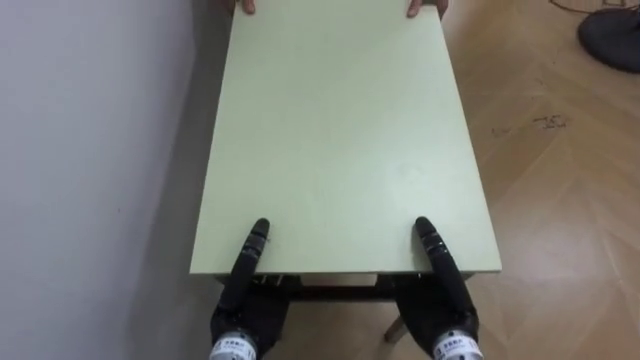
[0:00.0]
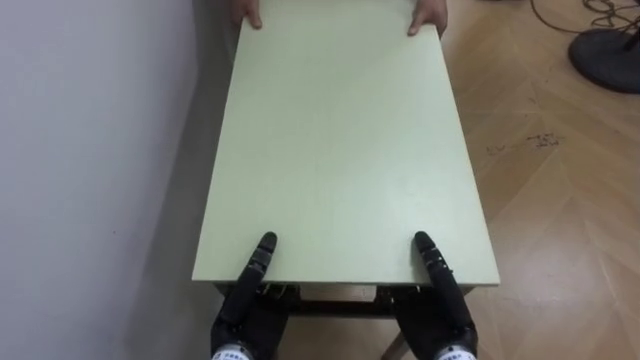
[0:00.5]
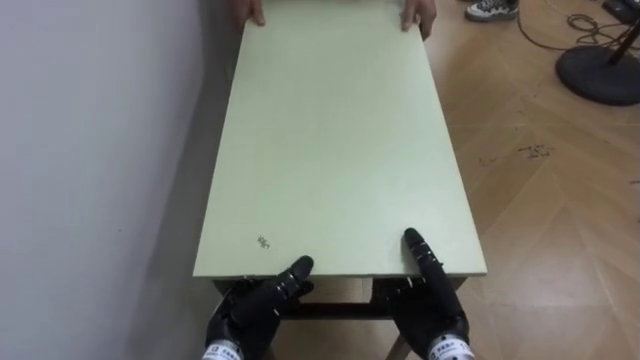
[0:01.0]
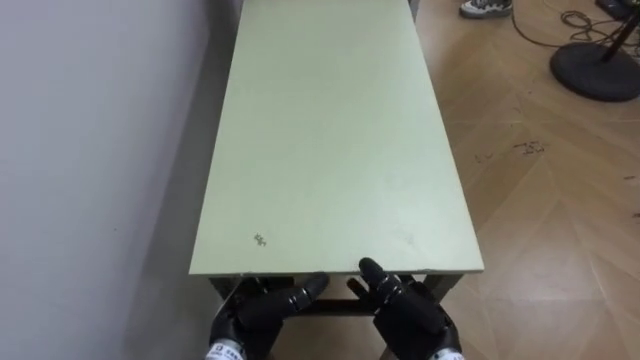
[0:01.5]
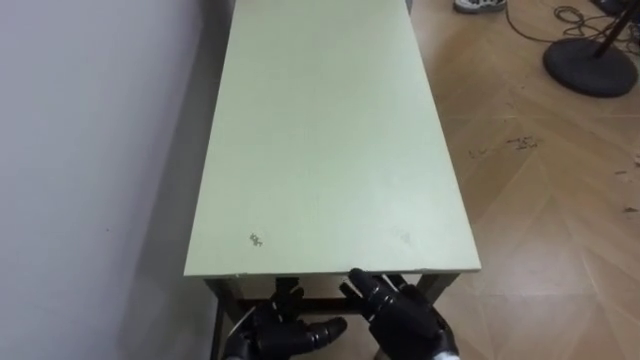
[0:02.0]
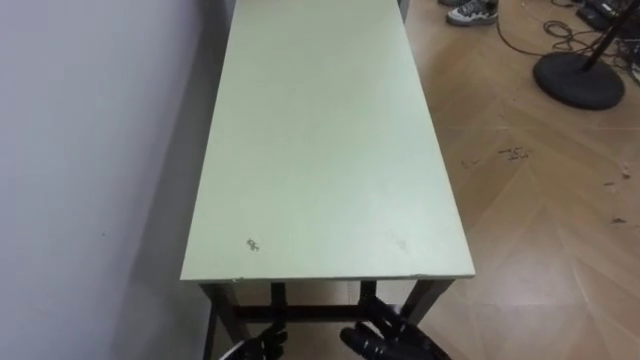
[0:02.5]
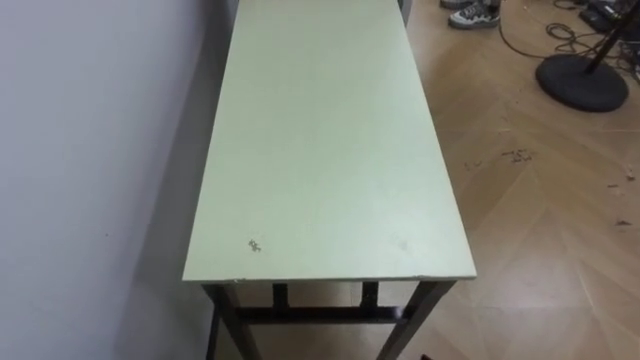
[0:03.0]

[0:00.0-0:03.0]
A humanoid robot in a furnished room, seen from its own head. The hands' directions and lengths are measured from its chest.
Task of the whole recording: Move the table to the back left with someone.
0:00.0 to 0:01.5: The left hand opens. Meanwhile the right hand opens its fingers.

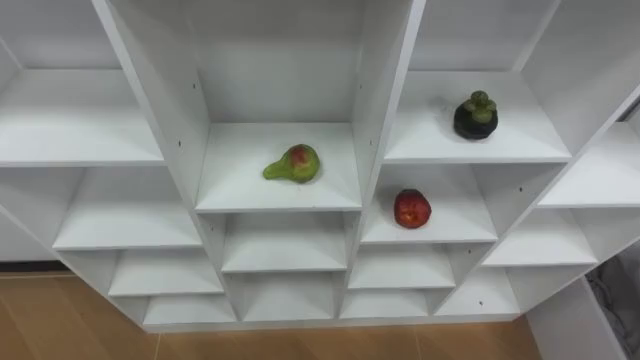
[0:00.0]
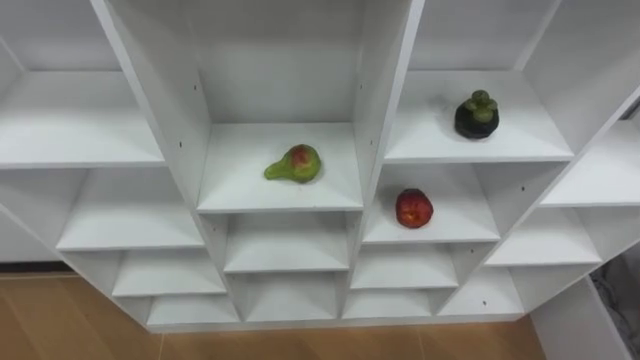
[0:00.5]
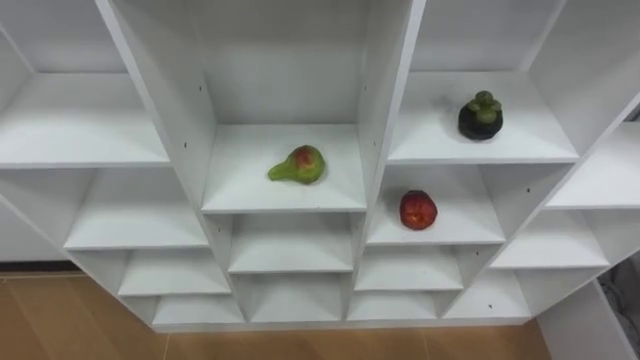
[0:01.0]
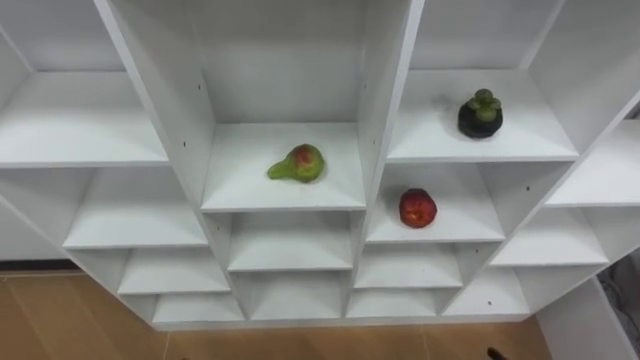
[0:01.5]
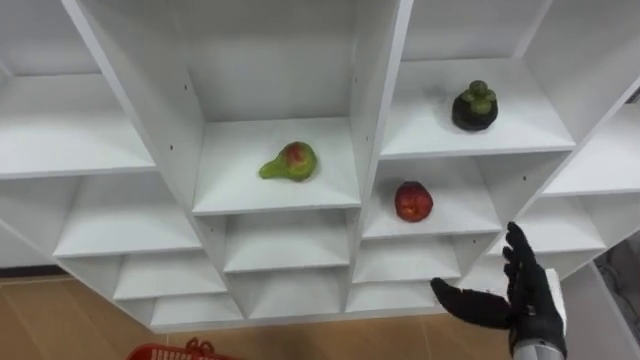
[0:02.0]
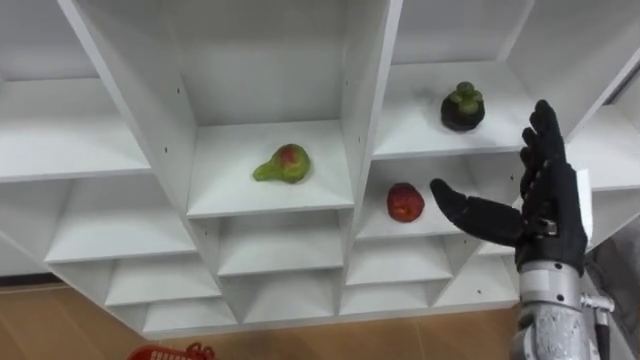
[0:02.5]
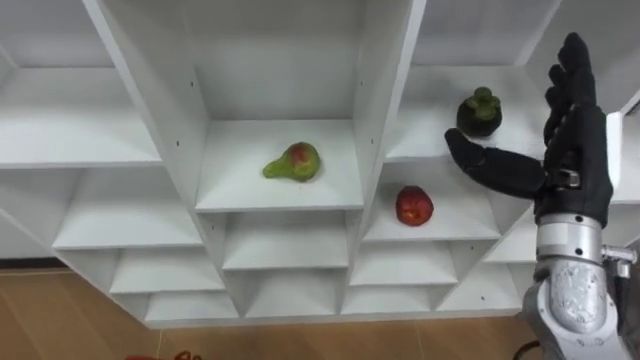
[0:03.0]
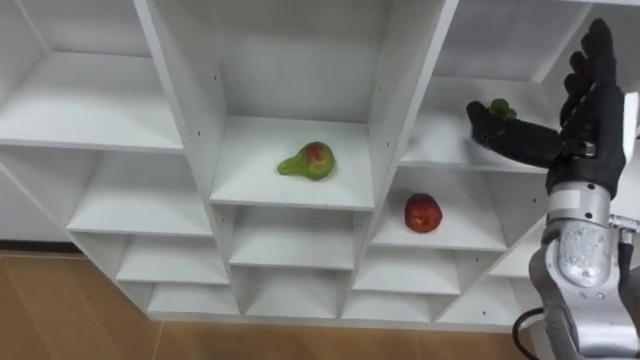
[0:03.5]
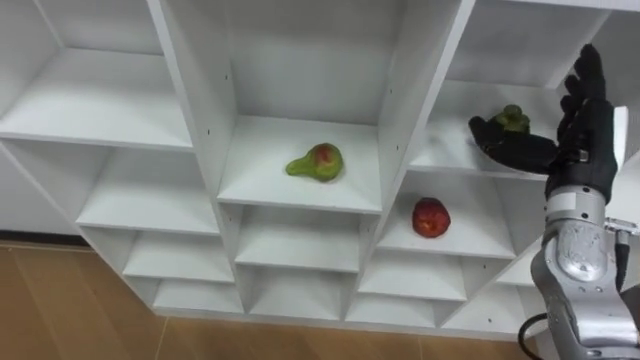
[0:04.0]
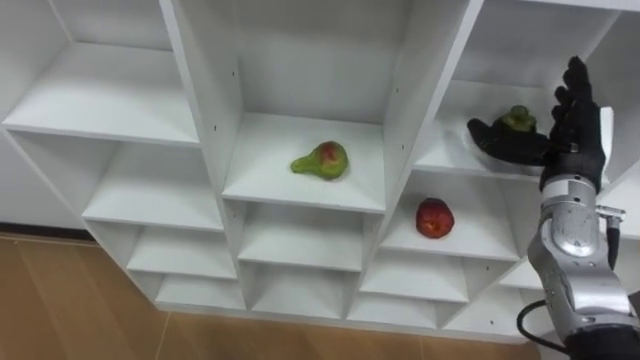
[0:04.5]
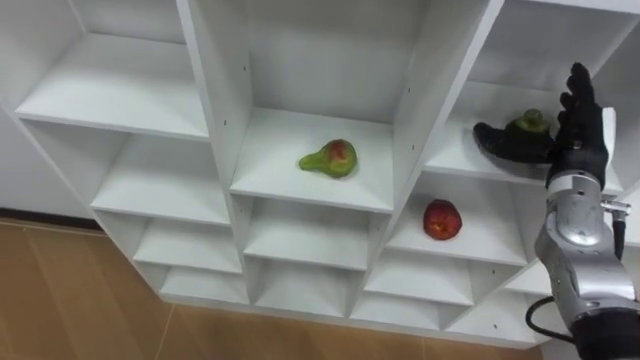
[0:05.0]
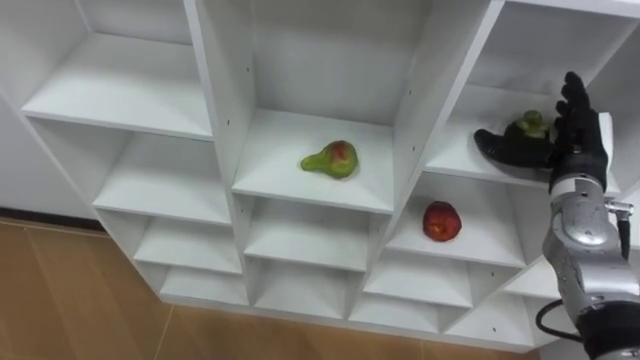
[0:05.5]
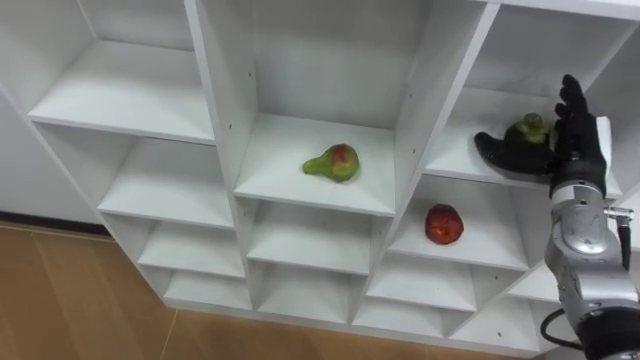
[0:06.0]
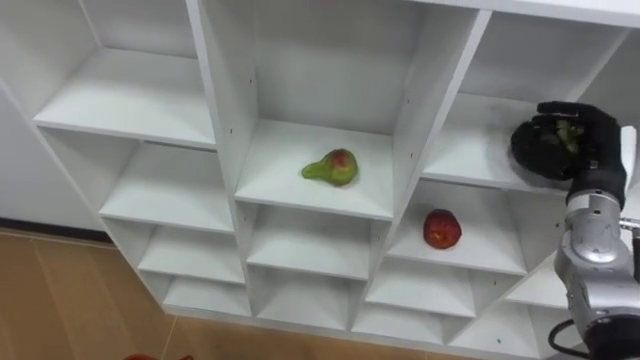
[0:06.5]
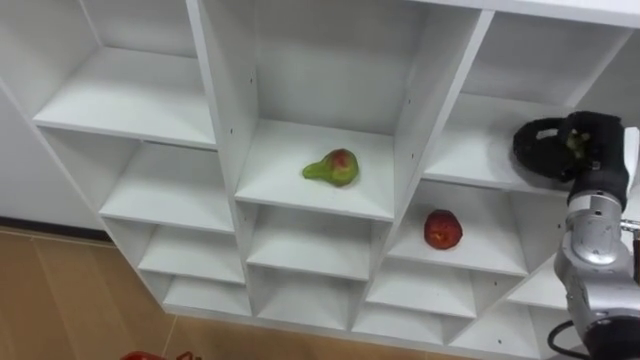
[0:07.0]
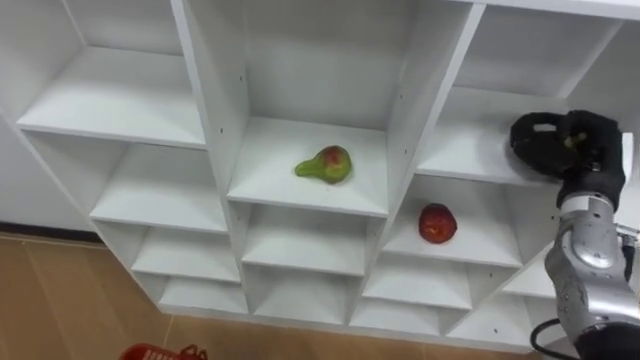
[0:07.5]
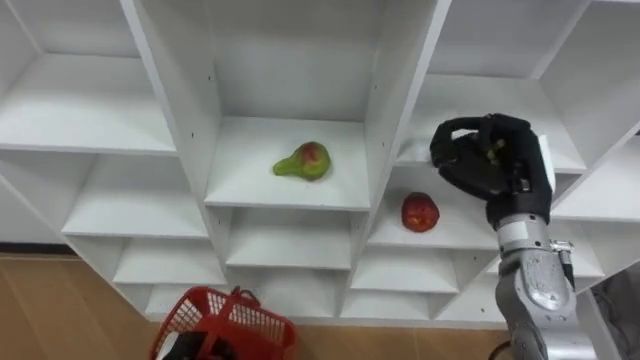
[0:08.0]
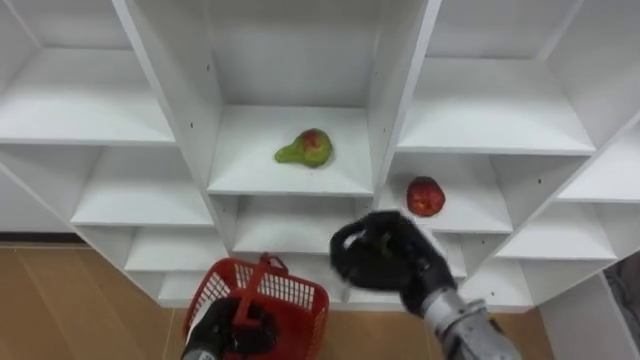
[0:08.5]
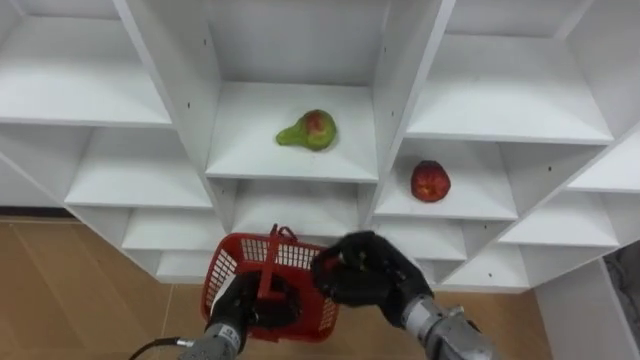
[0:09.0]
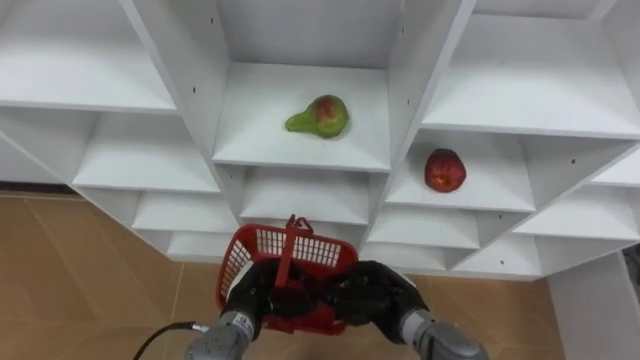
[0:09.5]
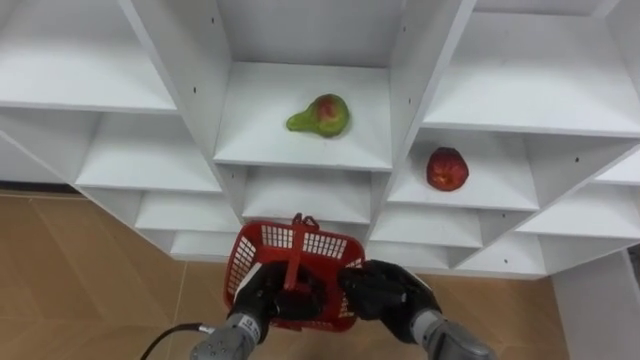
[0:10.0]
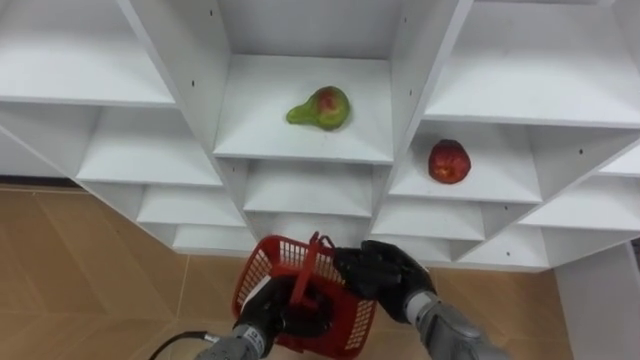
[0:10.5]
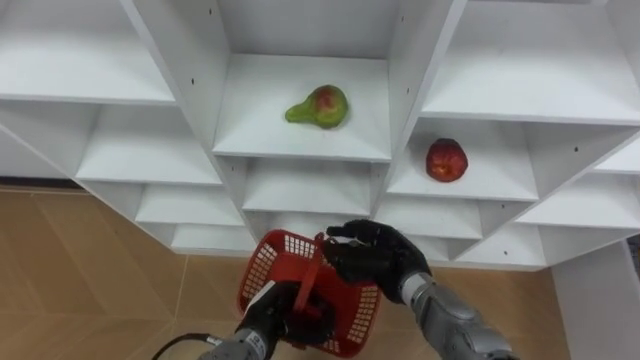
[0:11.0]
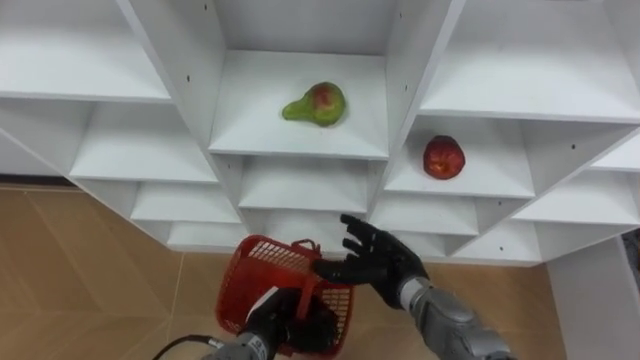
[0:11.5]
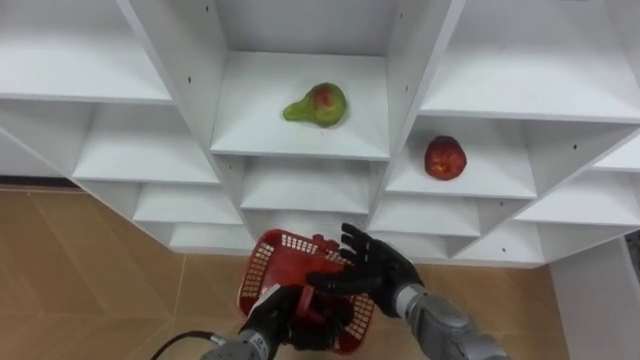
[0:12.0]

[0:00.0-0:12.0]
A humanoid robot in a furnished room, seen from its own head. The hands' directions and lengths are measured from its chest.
Task of the whole recording: Hold the basket and collect the fruits from 3 different cells of the closet into it.
0:02.0 to 0:04.0: The right hand goes roughly 20 cm upward and forward.
0:04.0 to 0:06.0: The right hand shifts about 5 cm downward.
0:06.0 to 0:08.0: The right hand goes roughly 10 cm to the left, and closes up.
0:08.0 to 0:10.0: The right hand shifts about 25 cm downward, to the left and backward.
0:10.0 to 0:12.0: The right hand opens its fingers.

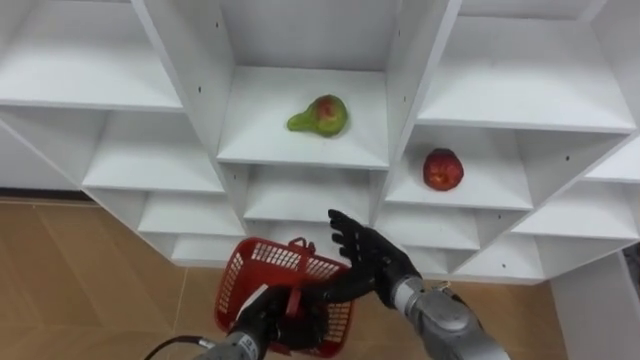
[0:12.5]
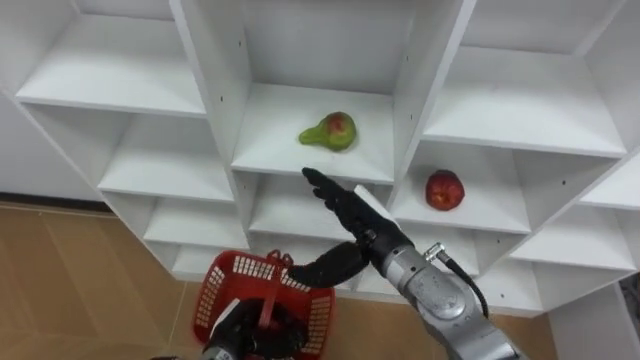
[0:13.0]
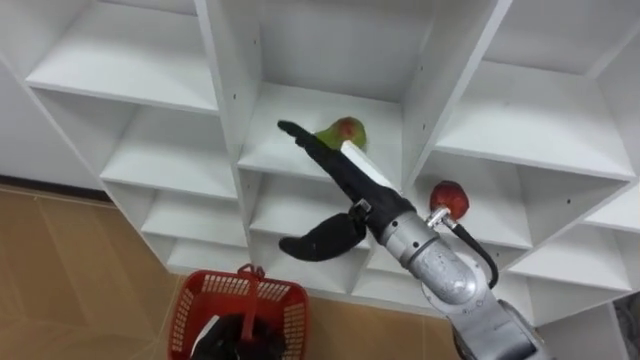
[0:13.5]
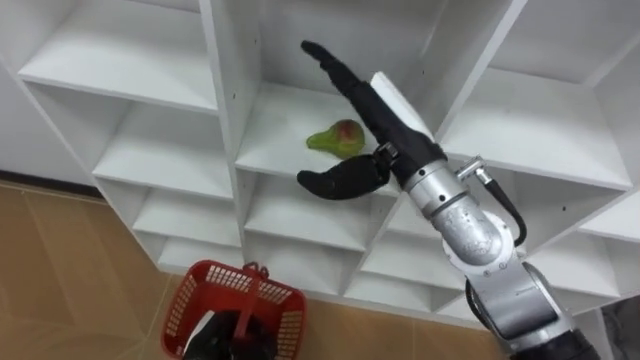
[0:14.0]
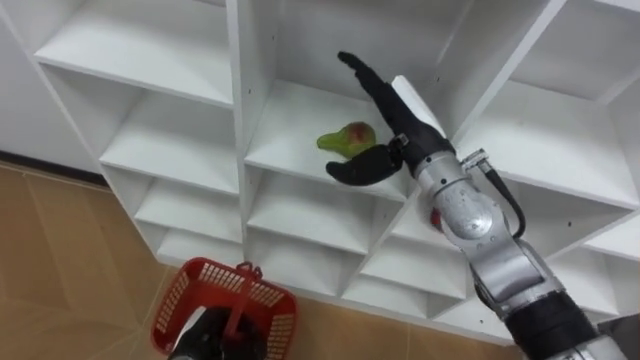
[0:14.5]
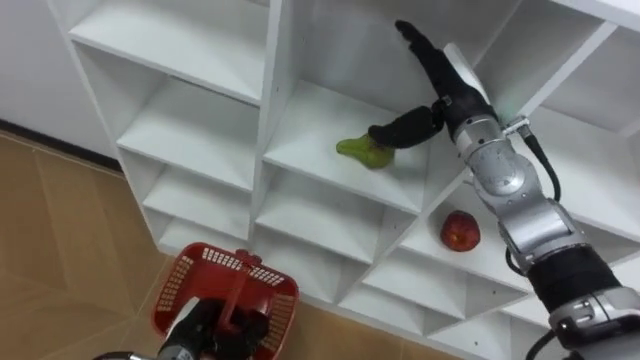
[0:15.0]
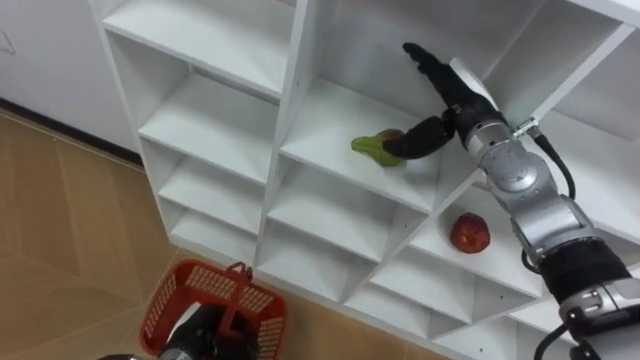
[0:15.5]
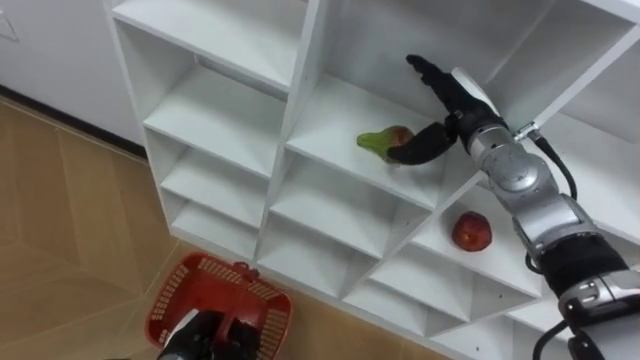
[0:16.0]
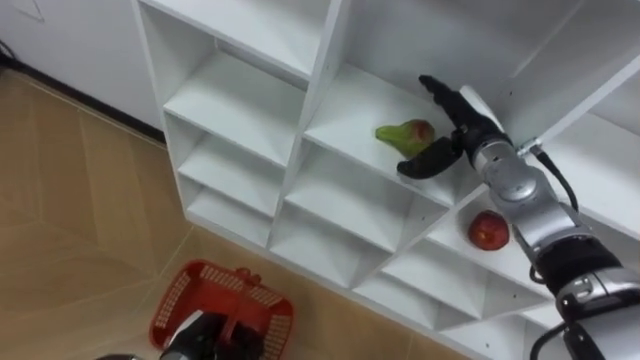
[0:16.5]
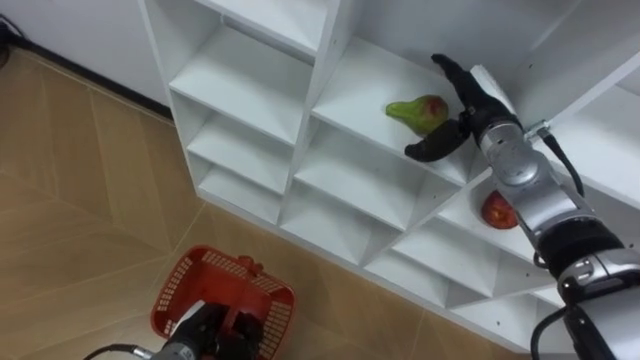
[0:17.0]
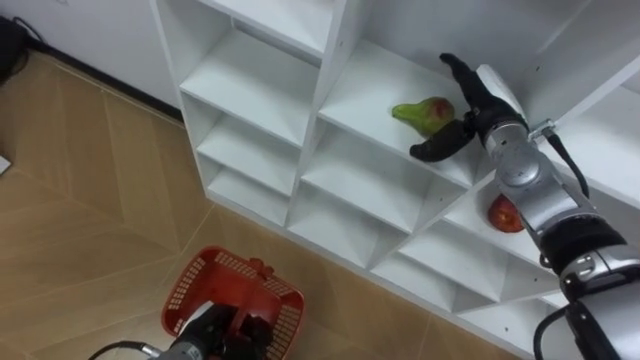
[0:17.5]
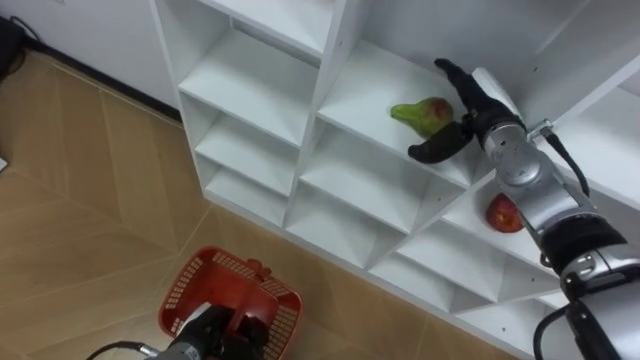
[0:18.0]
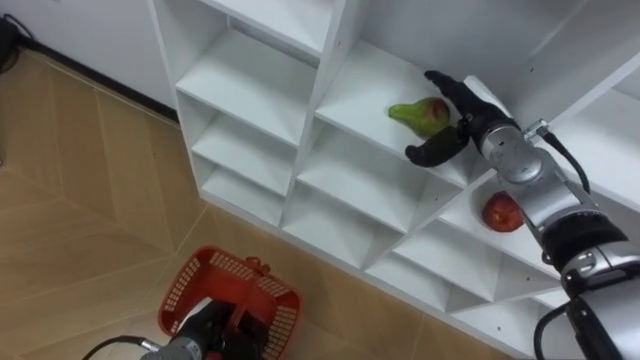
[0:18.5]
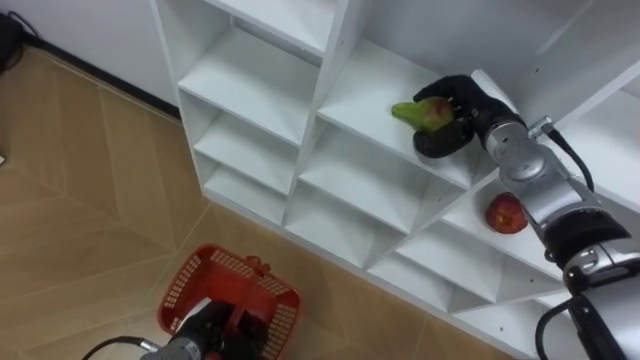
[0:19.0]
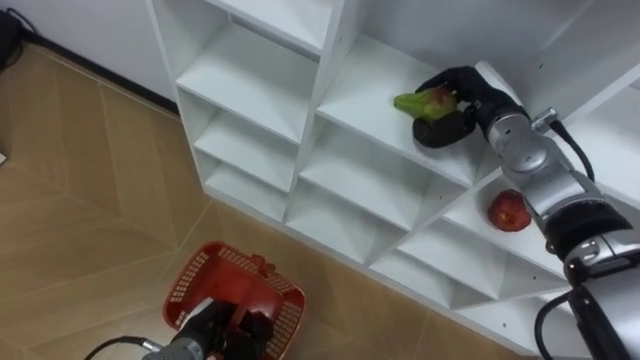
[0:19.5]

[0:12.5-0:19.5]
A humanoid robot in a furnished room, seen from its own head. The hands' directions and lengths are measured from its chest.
Task of the whole recording: Hold the basket and collect the fruits from 3 different cells of the closet into it.
0:12.5 to 0:14.5: The right hand travels upward and forward by approximately 20 cm. The left hand shifts roughly 10 cm to the left.
0:14.5 to 0:16.0: The right hand goes approximately 10 cm to the right and forward.
0:17.5 to 0:19.5: The right hand closes its fingers.
